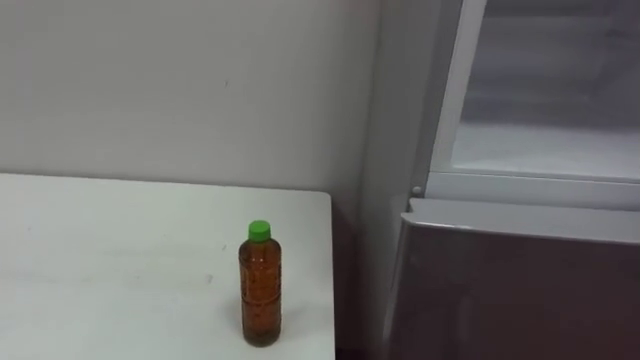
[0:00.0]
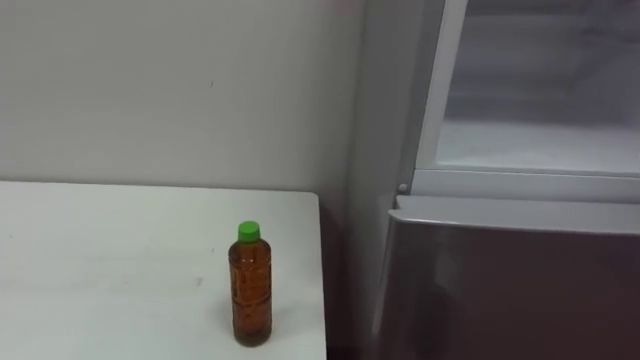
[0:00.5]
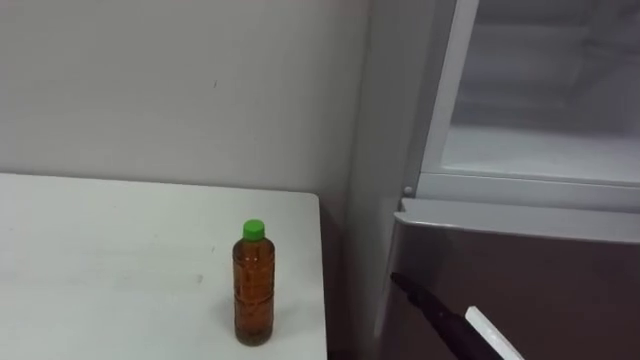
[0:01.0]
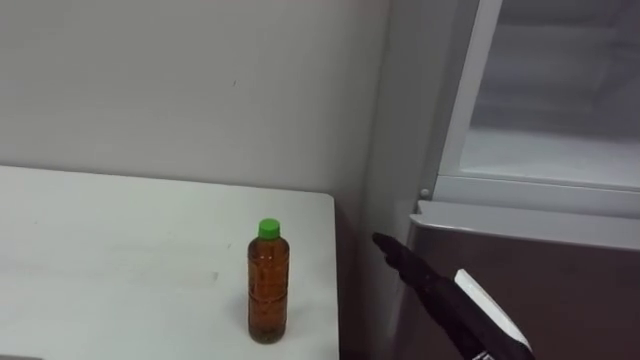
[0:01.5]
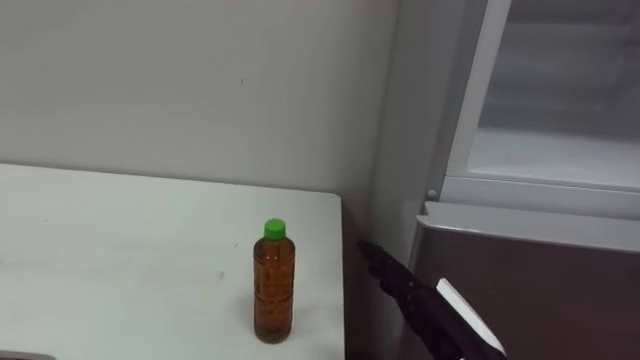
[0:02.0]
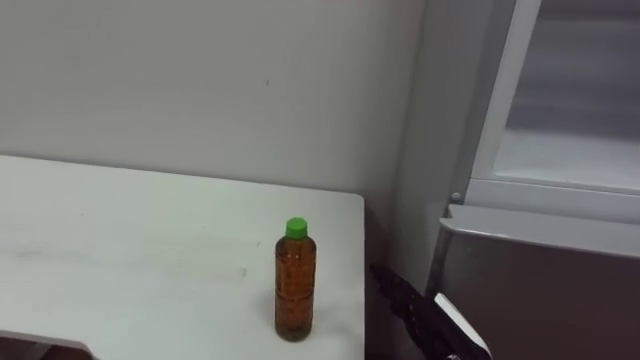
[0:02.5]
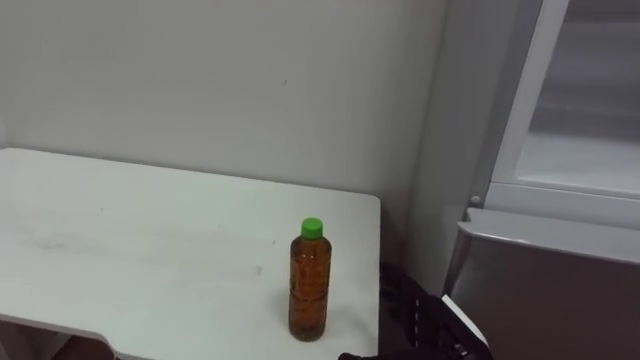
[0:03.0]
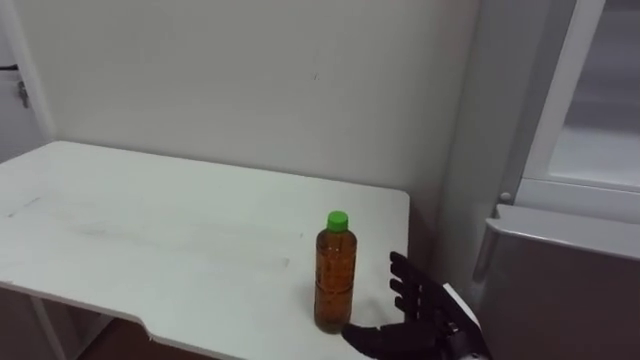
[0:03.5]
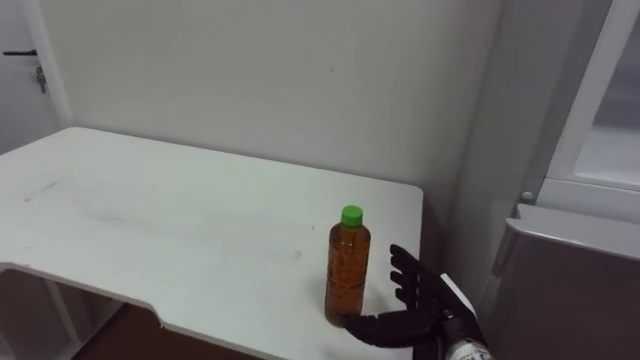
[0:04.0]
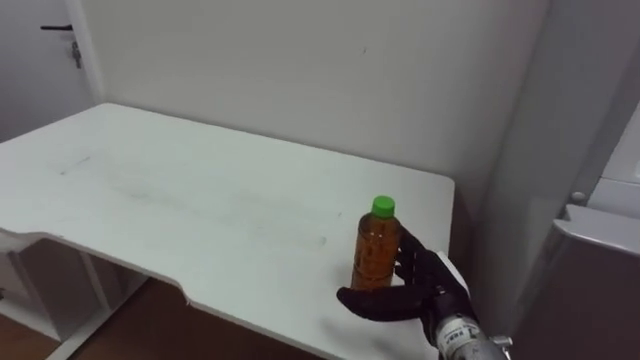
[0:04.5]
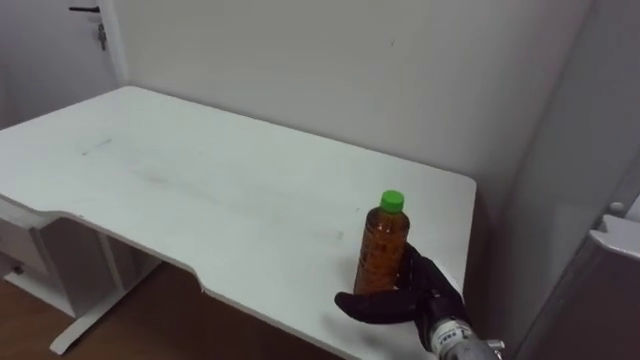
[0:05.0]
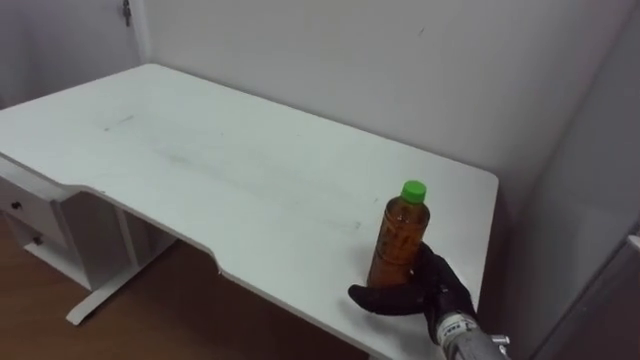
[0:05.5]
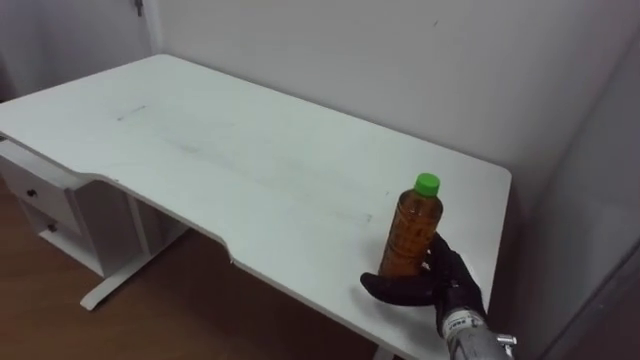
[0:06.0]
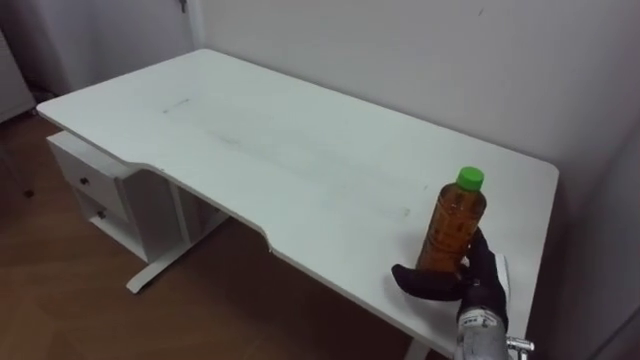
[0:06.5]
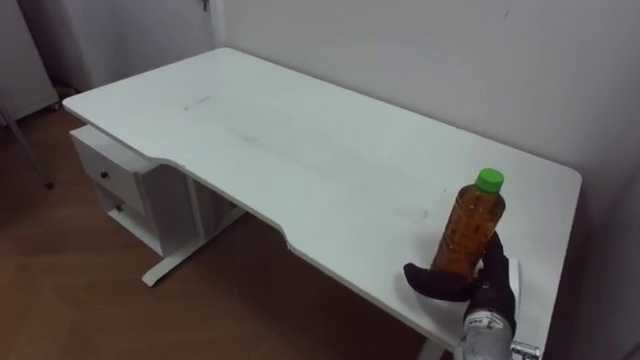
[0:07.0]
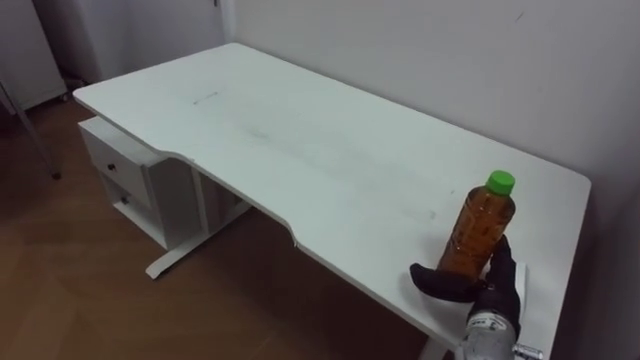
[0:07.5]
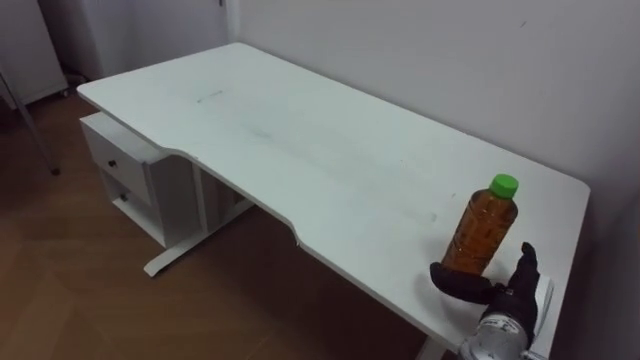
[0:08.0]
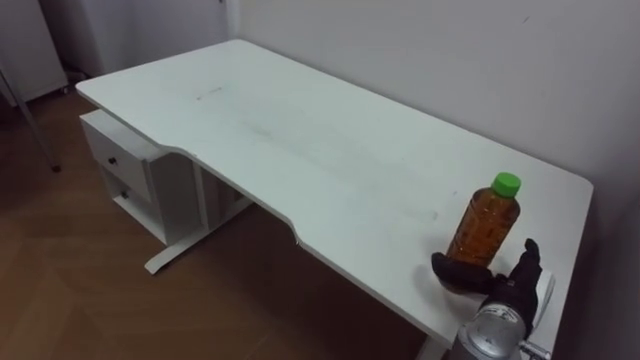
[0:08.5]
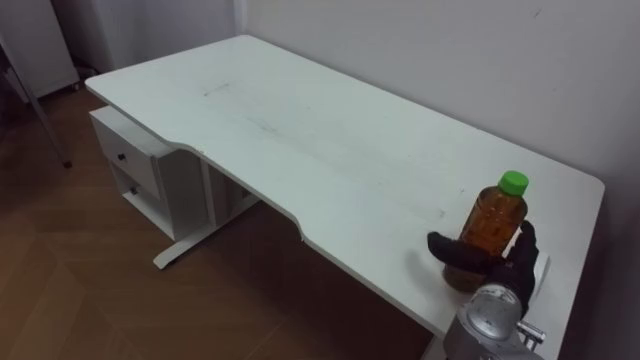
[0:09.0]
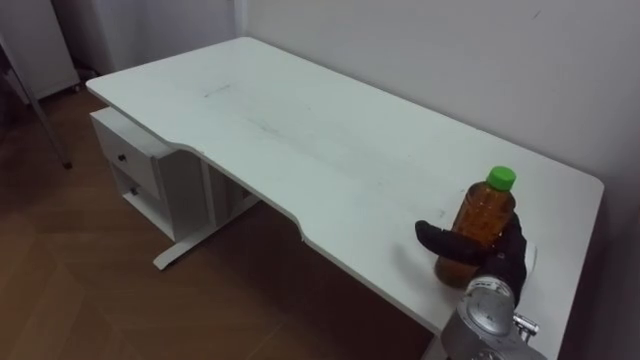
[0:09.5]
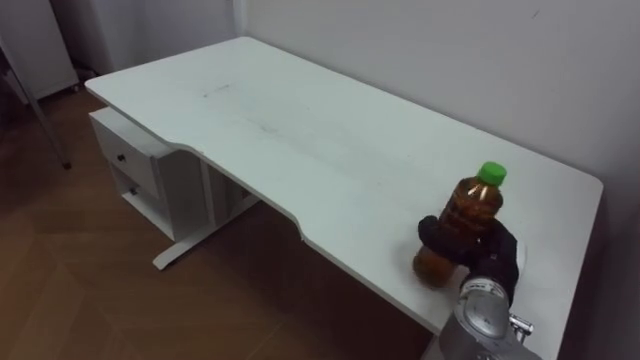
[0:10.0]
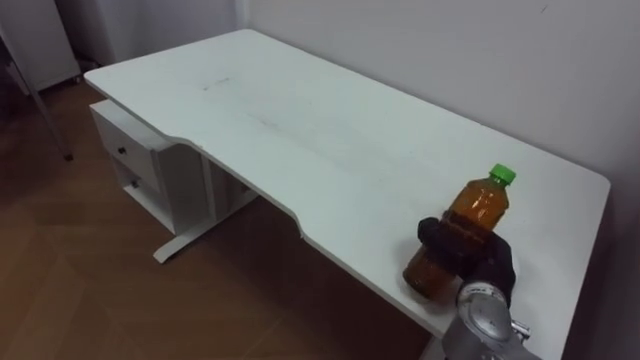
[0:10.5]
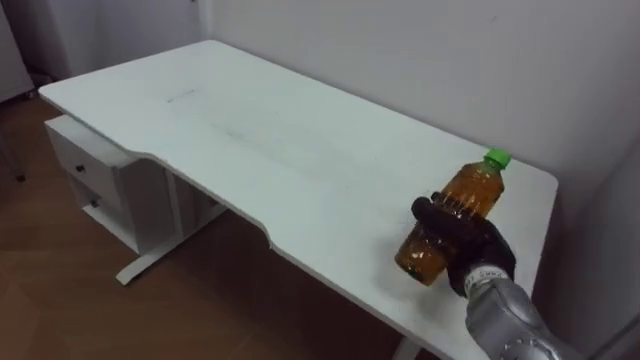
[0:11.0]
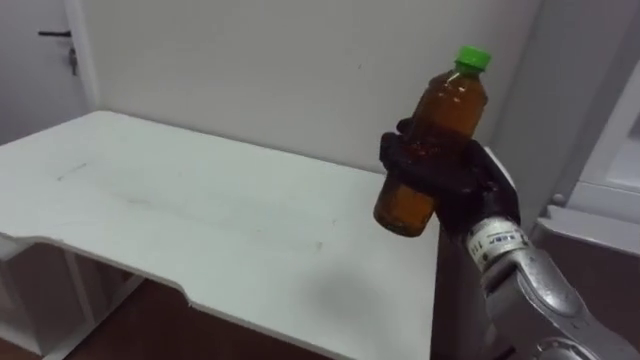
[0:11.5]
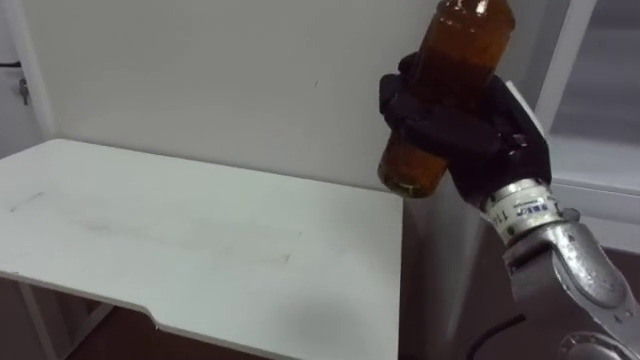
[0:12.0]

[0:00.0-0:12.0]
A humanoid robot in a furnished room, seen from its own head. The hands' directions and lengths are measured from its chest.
Task of the whole recording: Open the upper refrigerator door, put the drink from the table into the refrigerator, and then close the refrigerator door.
0:02.0 to 0:04.0: The right hand travels forward and downward by roughly 10 cm.
0:06.0 to 0:08.0: The right hand goes about 5 cm to the right.
0:08.0 to 0:10.0: The right hand shifts by roughly 5 cm.
0:10.0 to 0:12.0: The right hand travels upward by approximately 20 cm, and closes its fingers.

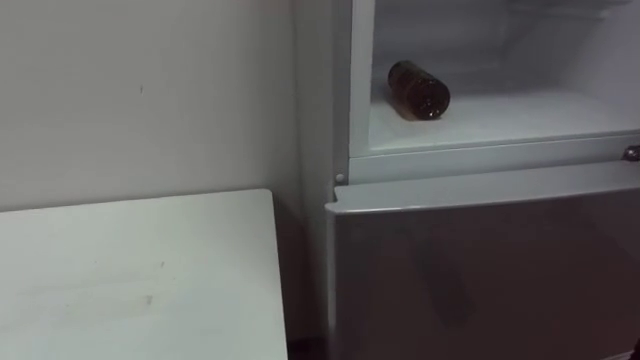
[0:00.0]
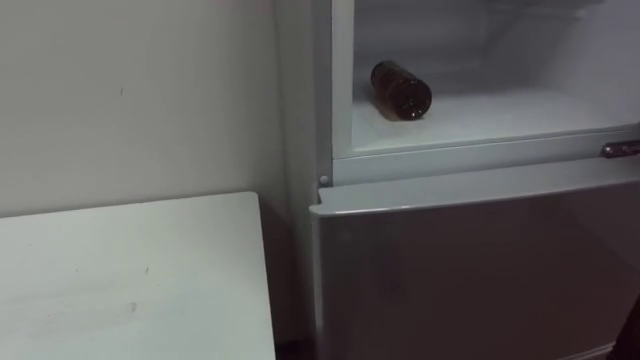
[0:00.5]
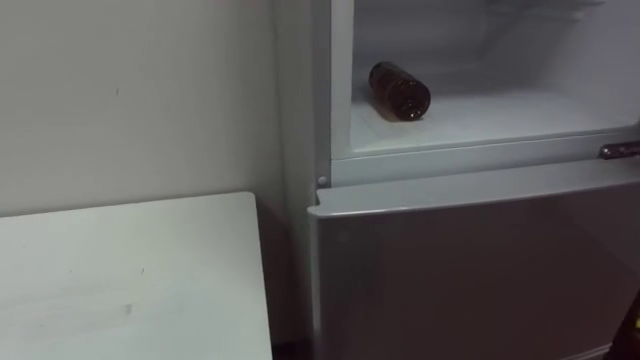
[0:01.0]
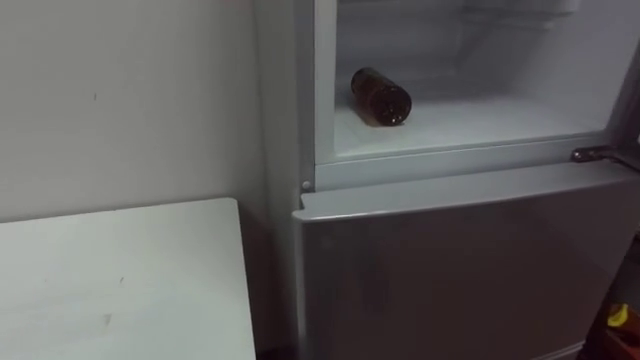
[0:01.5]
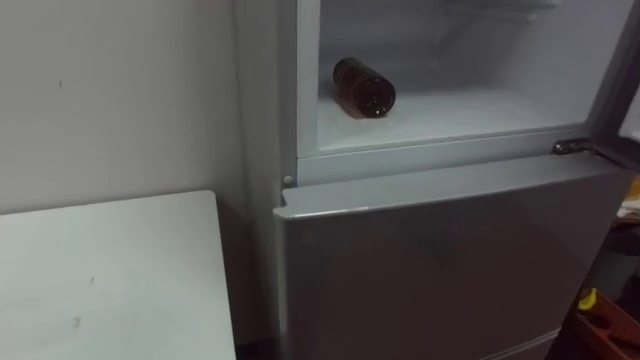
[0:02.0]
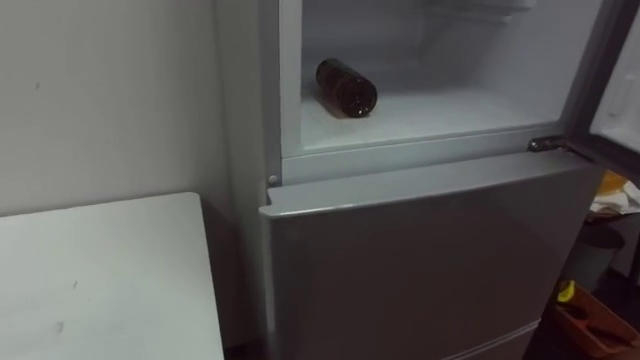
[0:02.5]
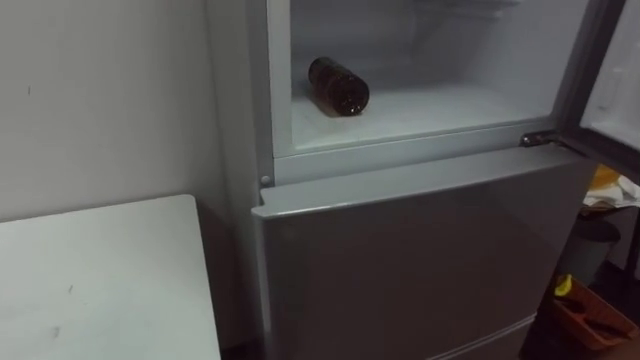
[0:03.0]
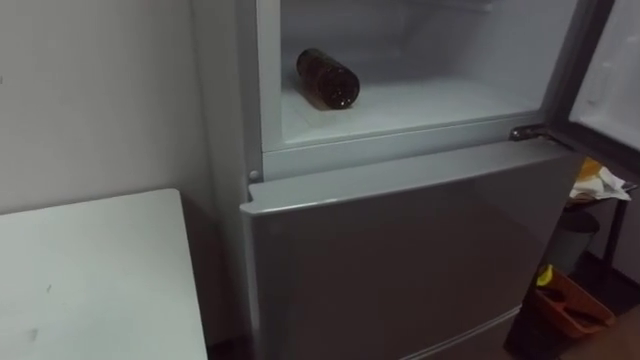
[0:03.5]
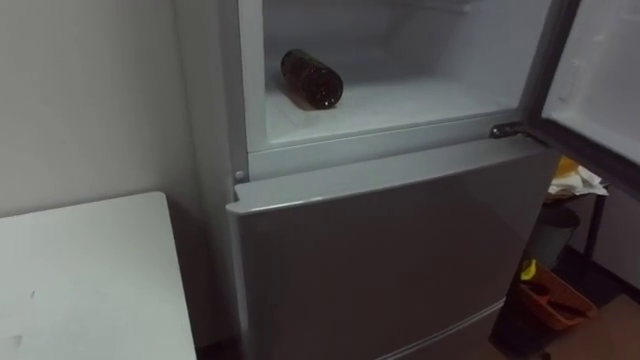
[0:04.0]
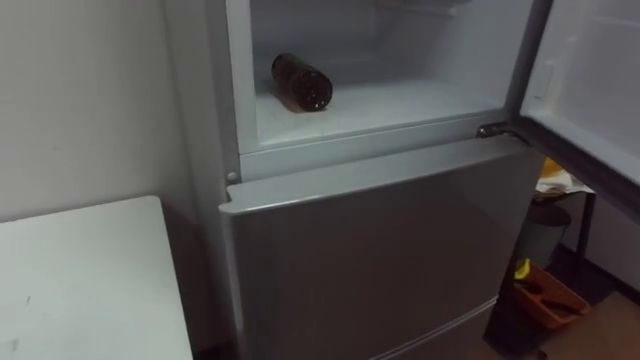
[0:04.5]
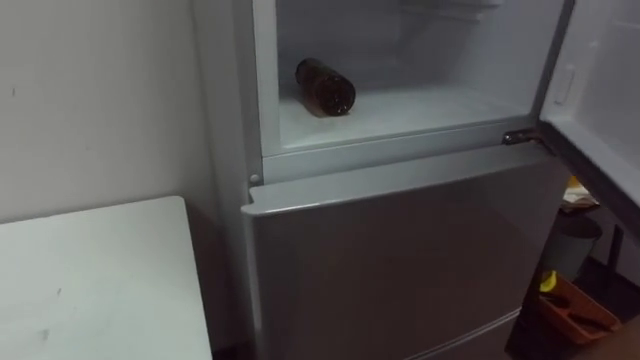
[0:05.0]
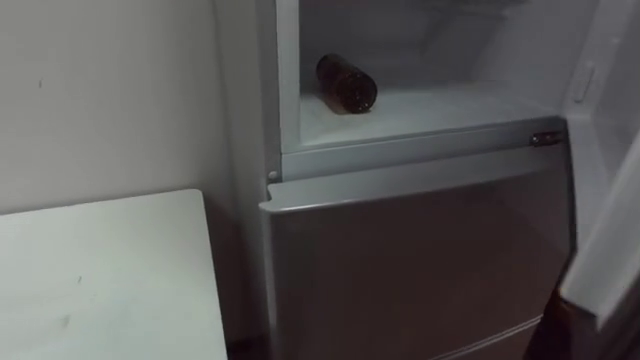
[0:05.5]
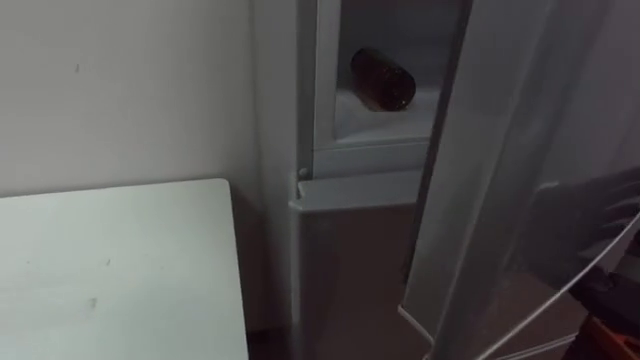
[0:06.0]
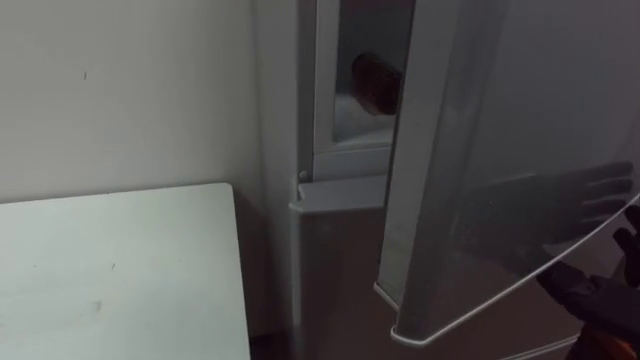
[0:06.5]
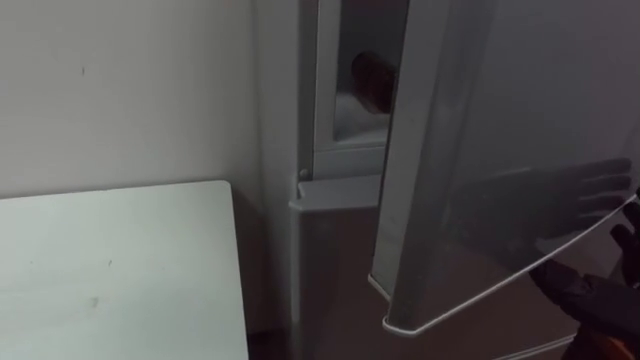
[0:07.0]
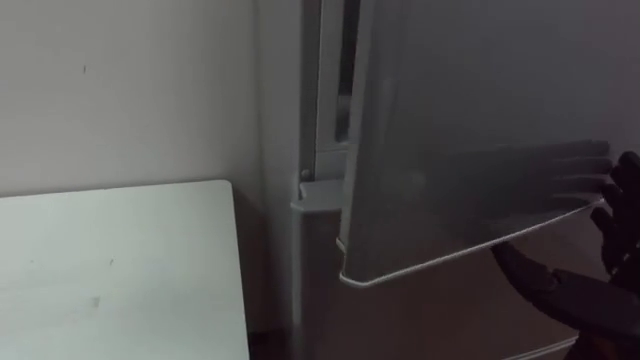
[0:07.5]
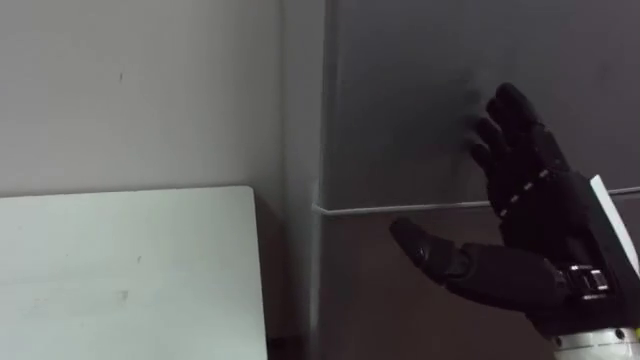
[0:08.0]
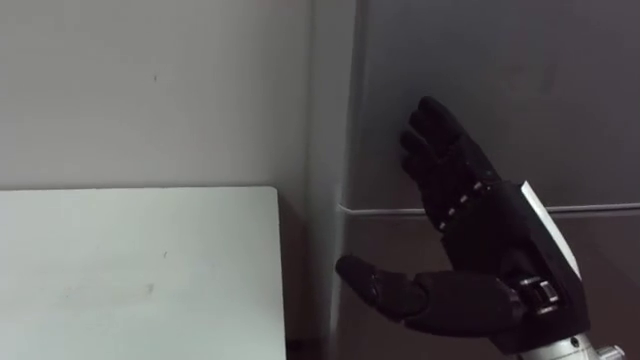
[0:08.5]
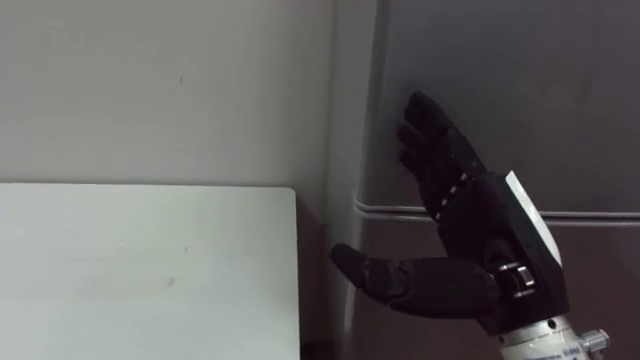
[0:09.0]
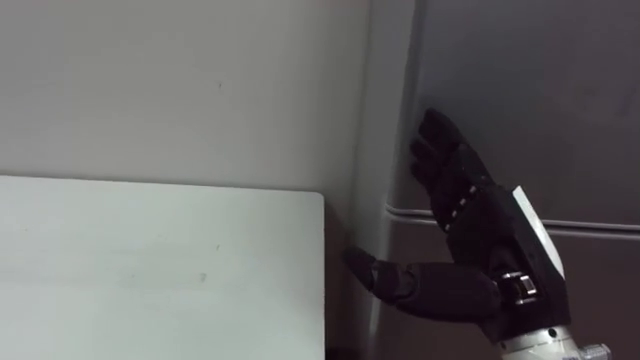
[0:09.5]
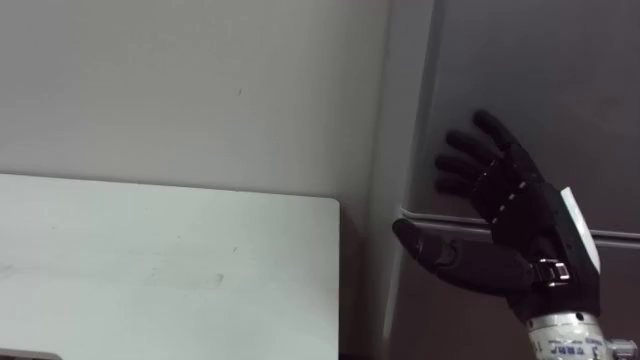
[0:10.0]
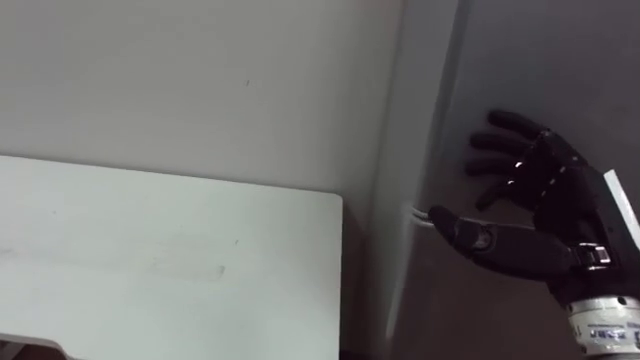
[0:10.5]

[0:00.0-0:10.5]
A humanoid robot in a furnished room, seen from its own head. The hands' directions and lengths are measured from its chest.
Task of the whole recording: Open the upper refrigerator door, put the drink from the table into the refrigerator, and then close the refrigerator door.
0:08.5 to 0:10.5: The right hand travels to the right by about 10 cm.
